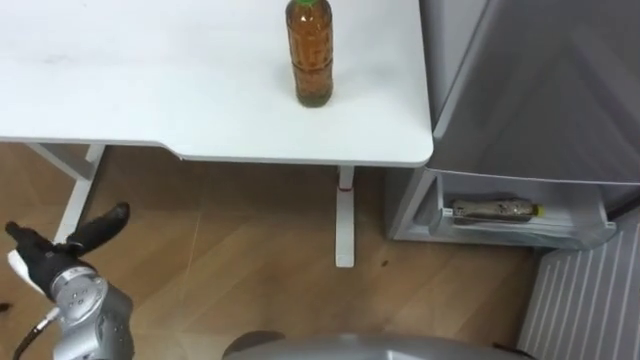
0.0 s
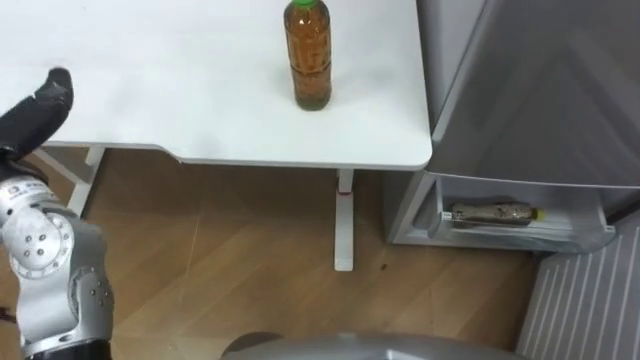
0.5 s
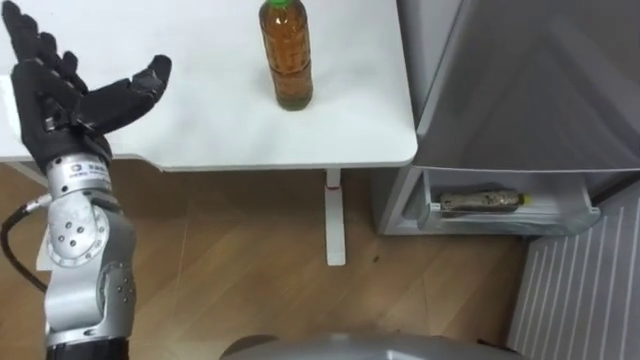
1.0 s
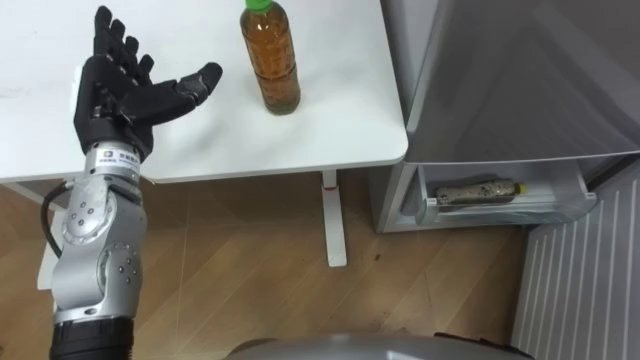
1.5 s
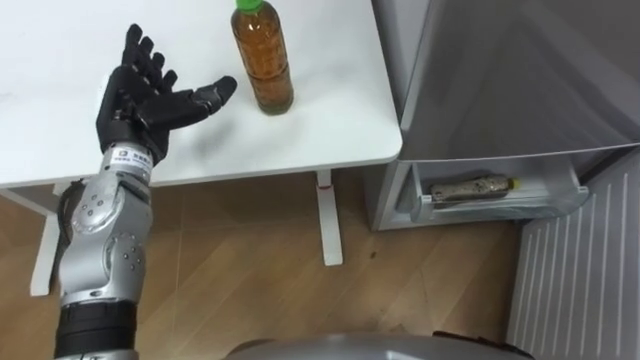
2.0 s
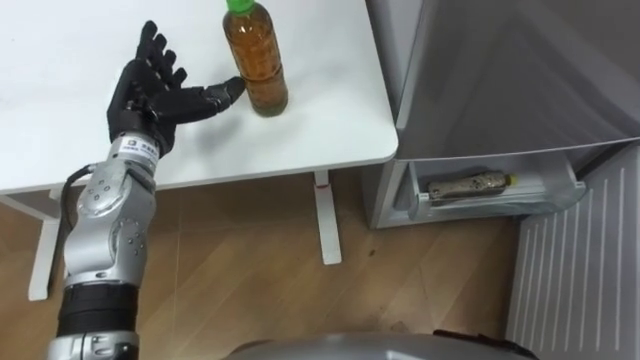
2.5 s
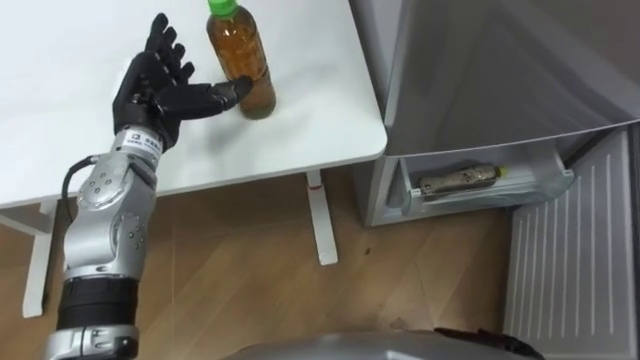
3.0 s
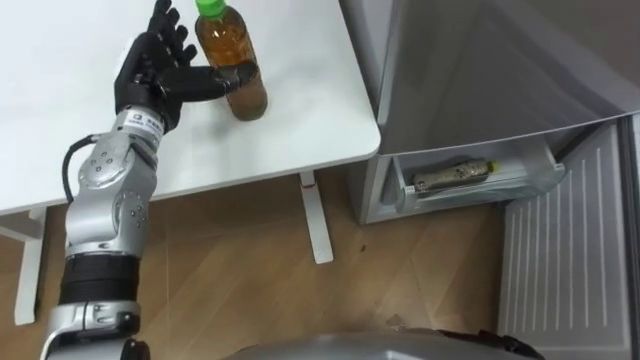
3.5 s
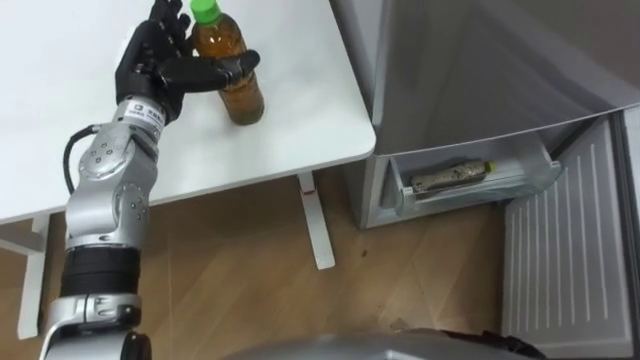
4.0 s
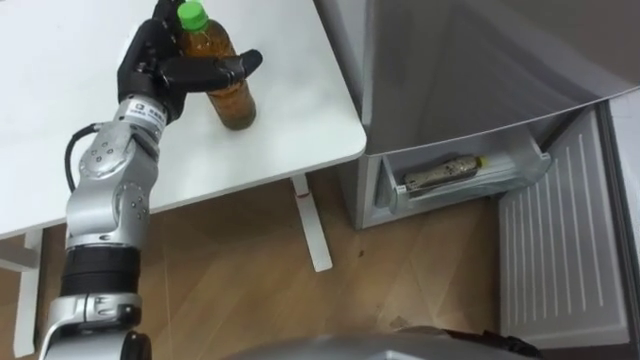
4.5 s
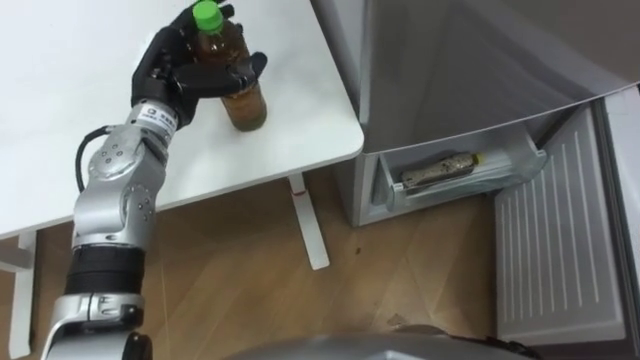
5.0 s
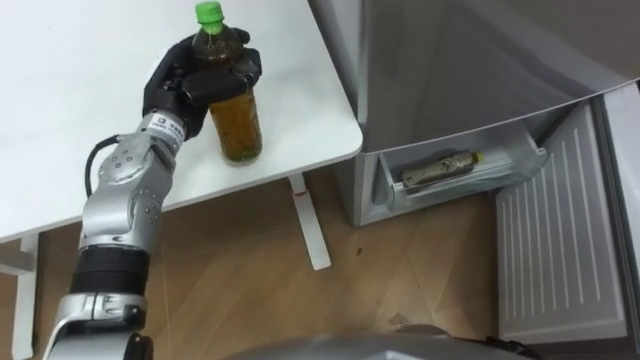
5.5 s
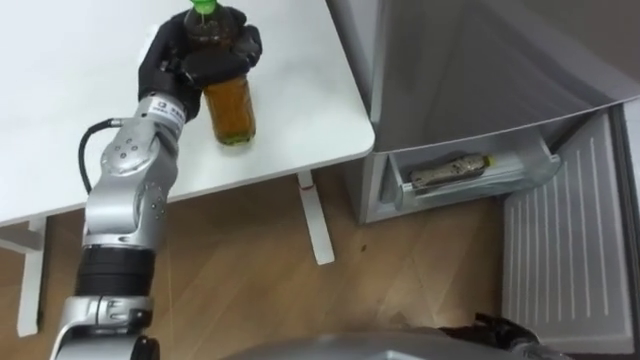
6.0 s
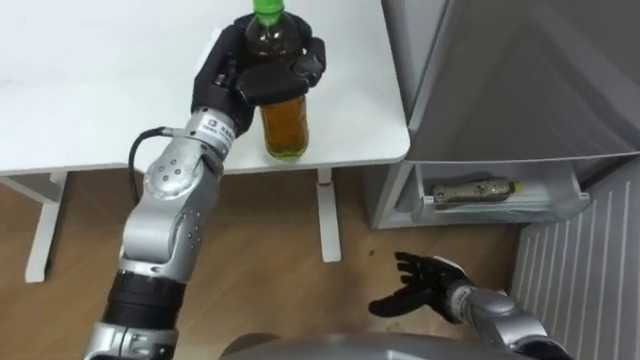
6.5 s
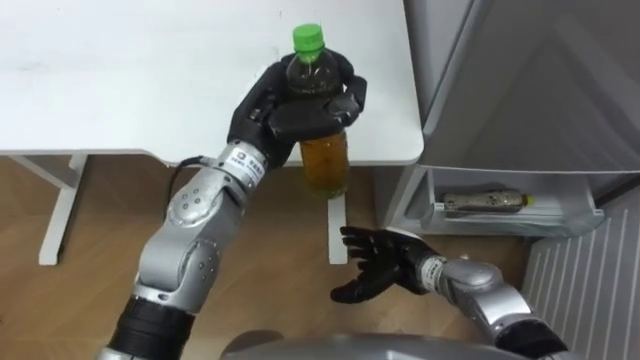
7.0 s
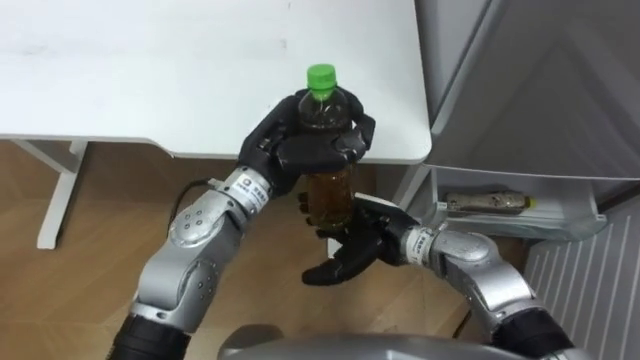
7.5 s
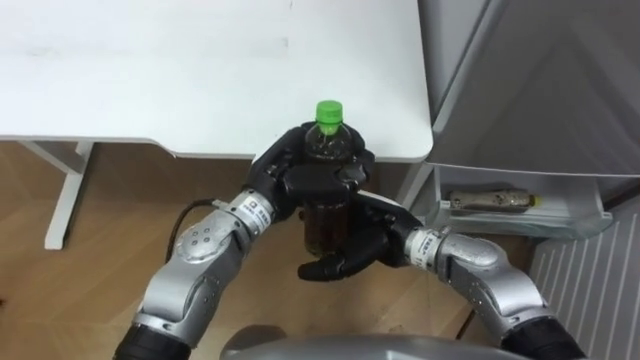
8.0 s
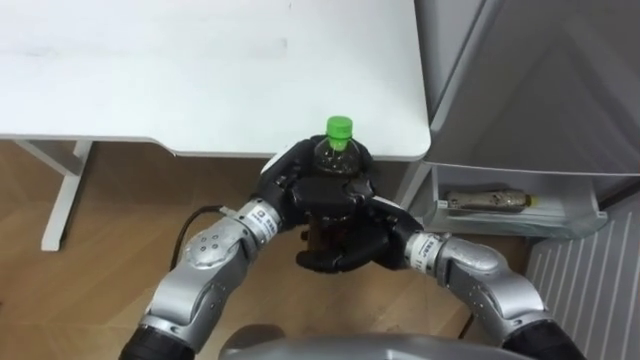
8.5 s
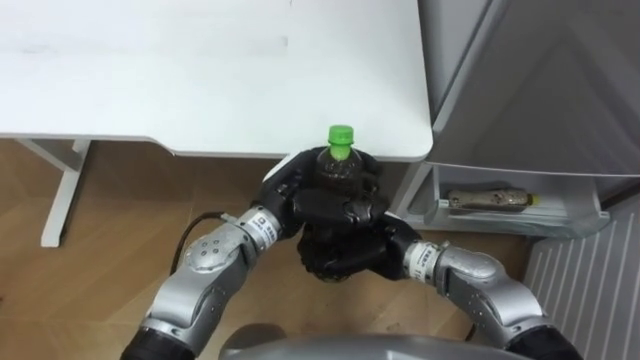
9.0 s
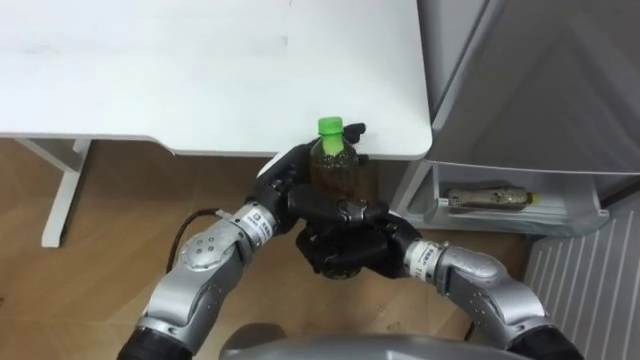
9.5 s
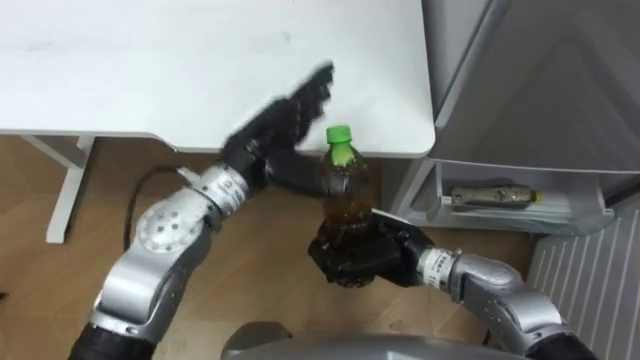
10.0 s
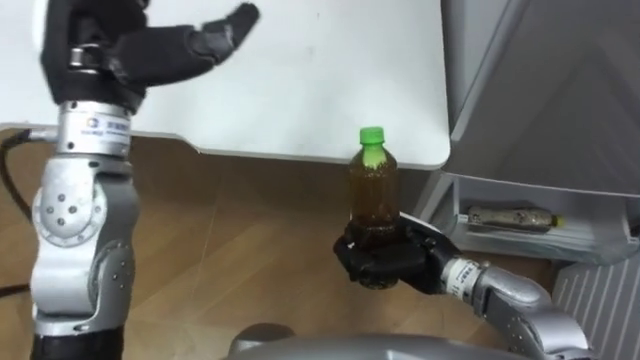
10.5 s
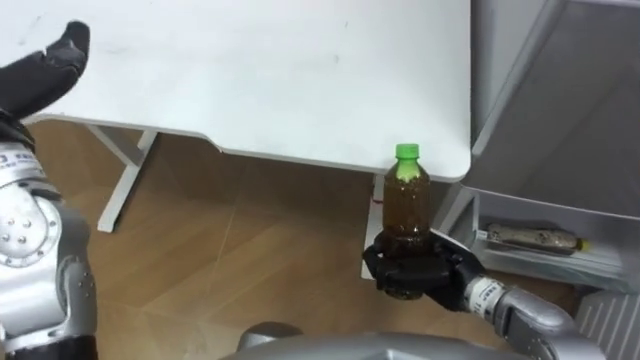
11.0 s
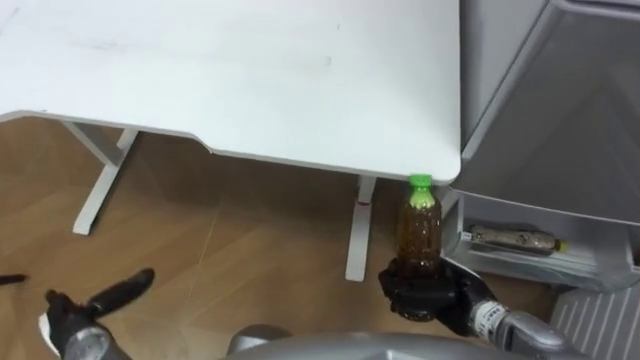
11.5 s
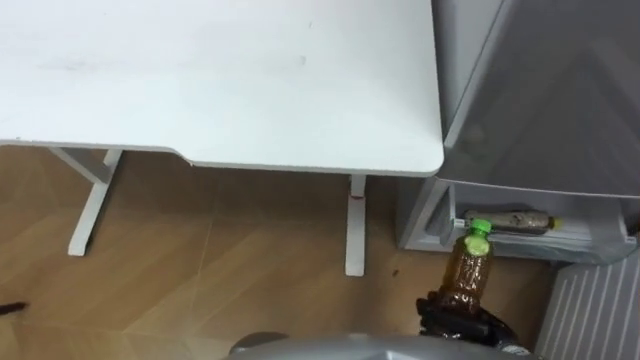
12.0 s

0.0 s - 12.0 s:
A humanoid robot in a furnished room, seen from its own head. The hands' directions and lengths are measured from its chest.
Task of the whole recording: Place the drink on the table on the bottom shelf of the refrigerator, then close the drawer and the refrigerator door.
2.0 s - 4.0 s: The left hand shifts by about 5 cm.
4.0 s - 6.0 s: The left hand closes.
6.0 s - 8.0 s: The left hand moves to the right, backward and downward, approximately 15 cm. Meanwhile the right hand heads to the left, upward and forward, covering about 30 cm.
8.0 s - 10.0 s: The right hand closes its fingers, while the left hand shifts by roughly 5 cm, and opens its fingers.
10.0 s - 12.0 s: The right hand goes roughly 20 cm to the right, downward and backward.

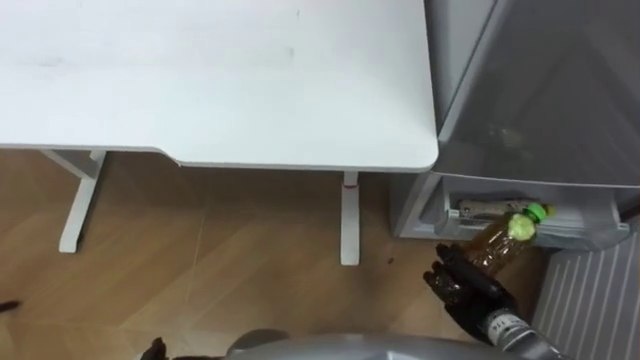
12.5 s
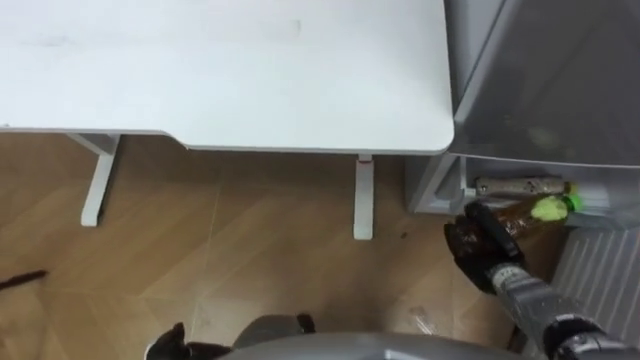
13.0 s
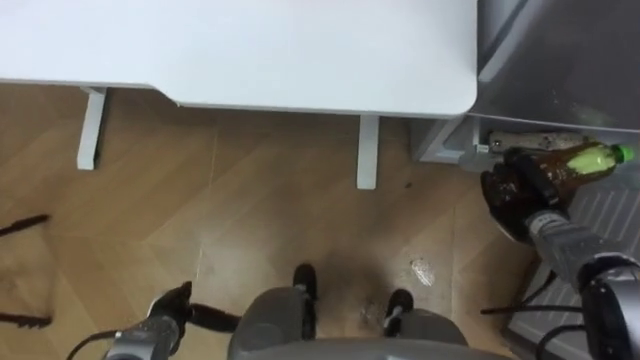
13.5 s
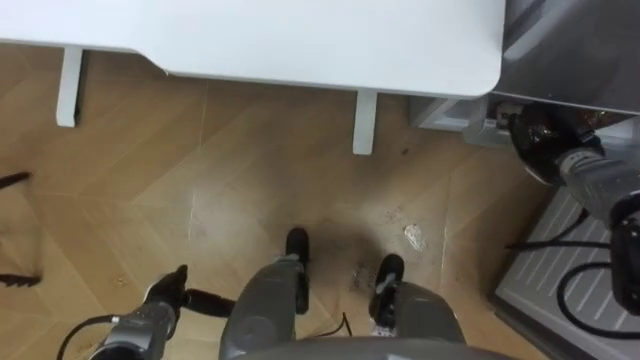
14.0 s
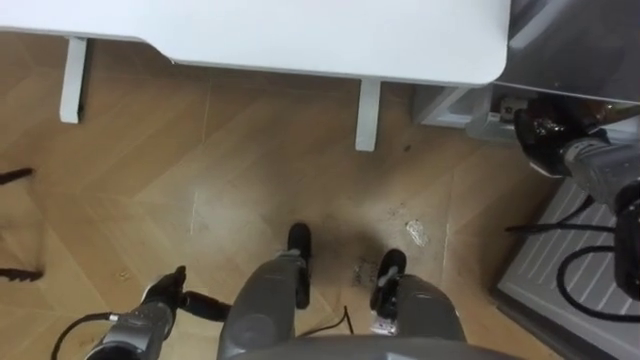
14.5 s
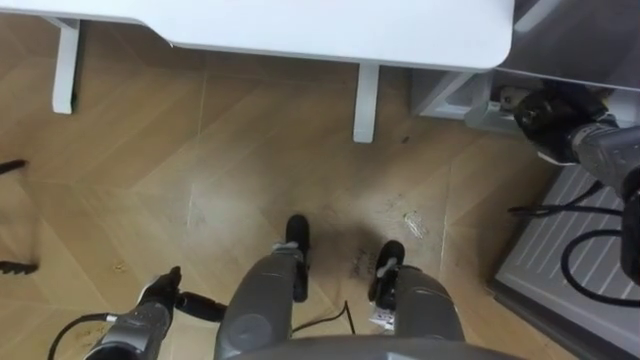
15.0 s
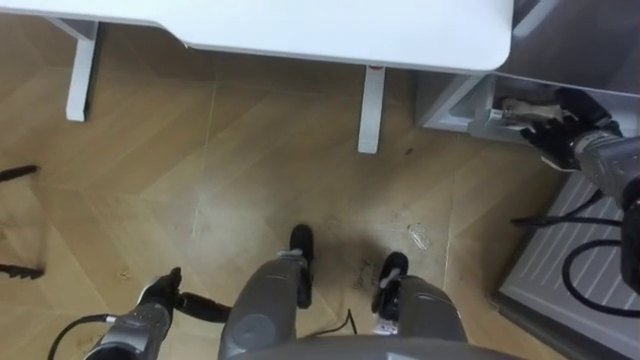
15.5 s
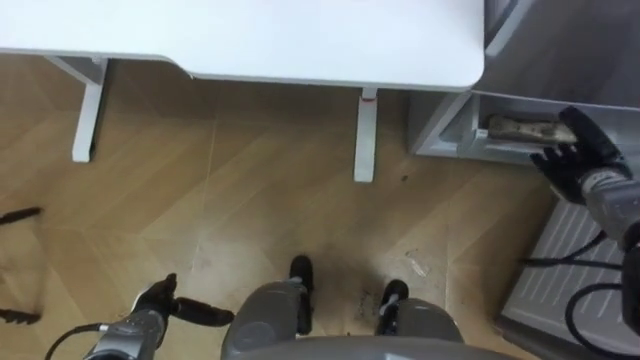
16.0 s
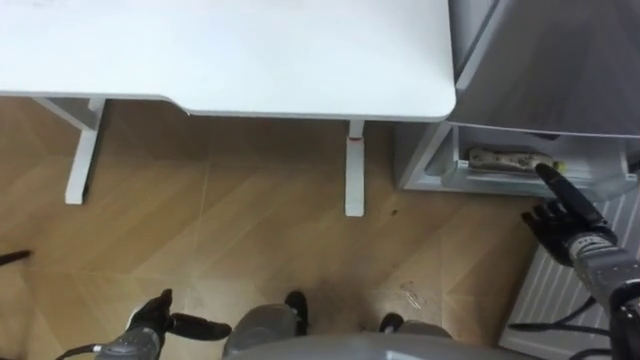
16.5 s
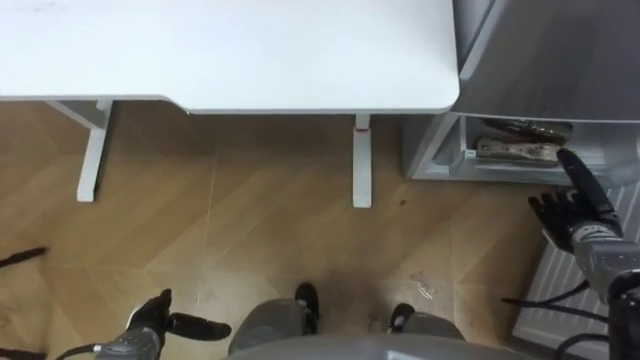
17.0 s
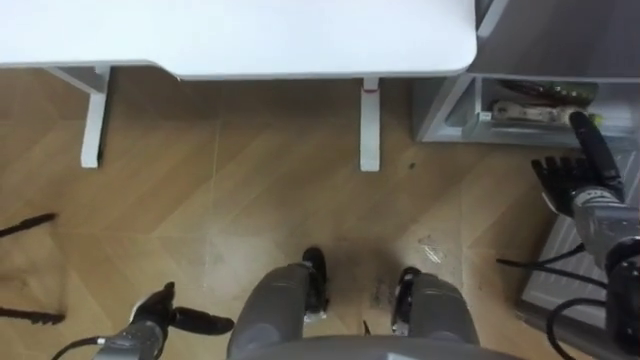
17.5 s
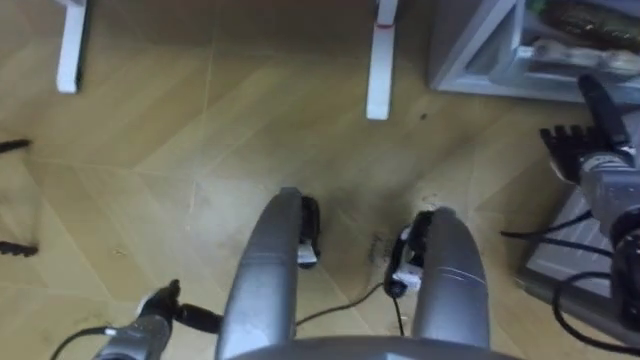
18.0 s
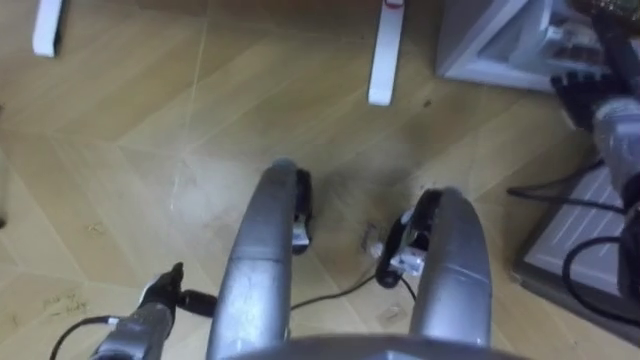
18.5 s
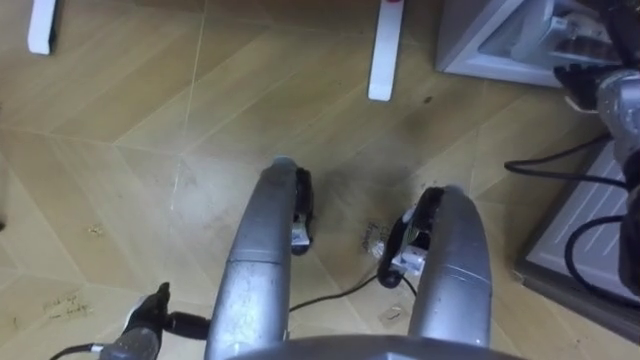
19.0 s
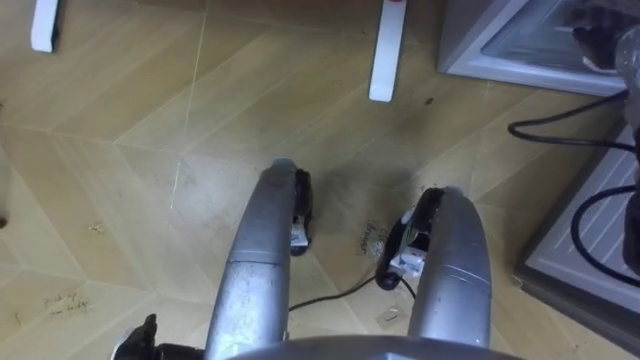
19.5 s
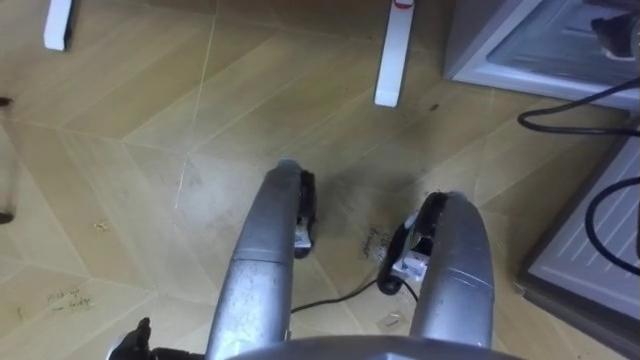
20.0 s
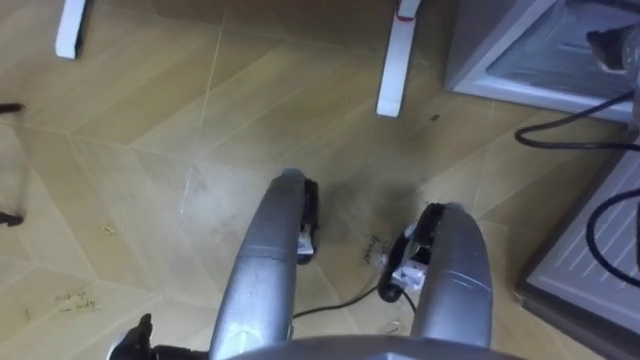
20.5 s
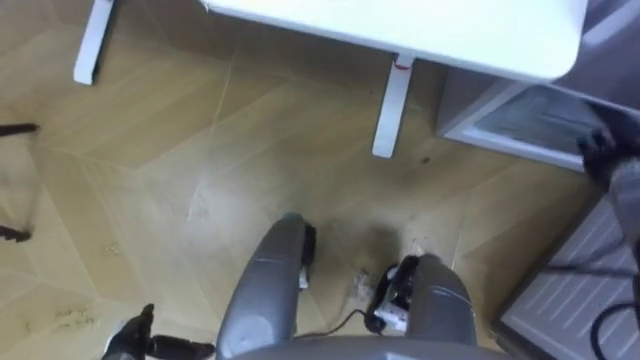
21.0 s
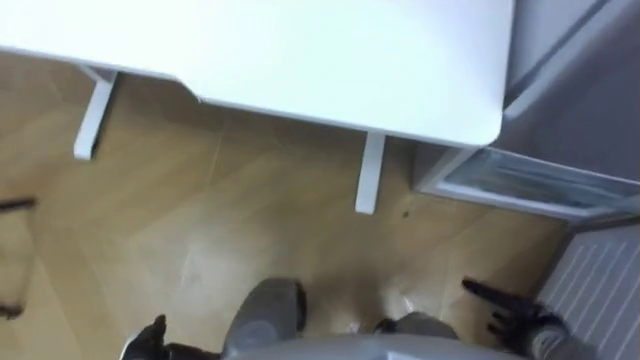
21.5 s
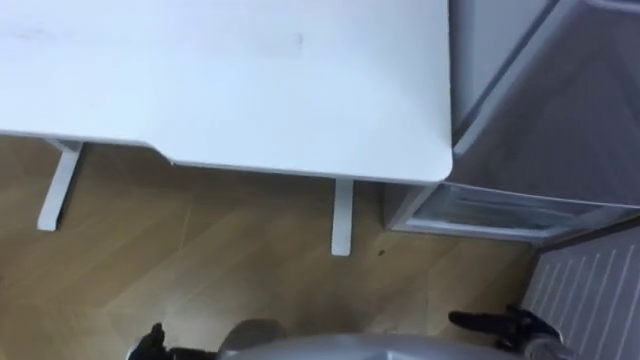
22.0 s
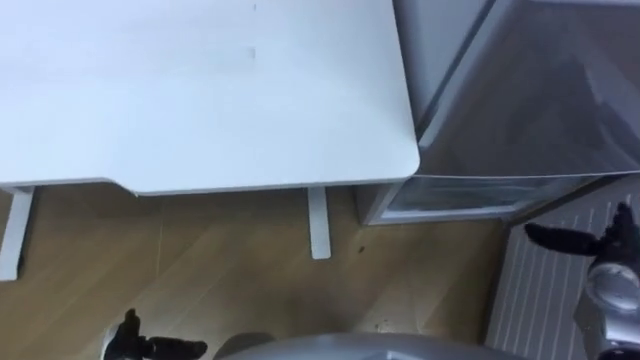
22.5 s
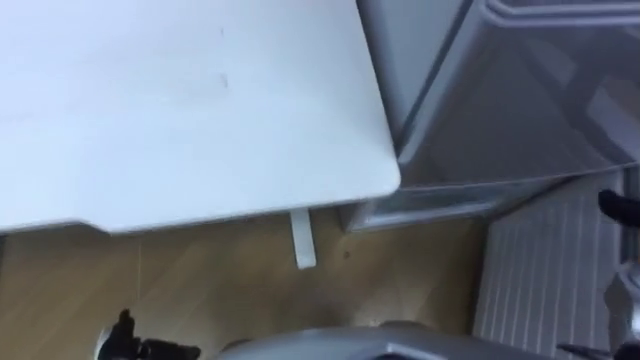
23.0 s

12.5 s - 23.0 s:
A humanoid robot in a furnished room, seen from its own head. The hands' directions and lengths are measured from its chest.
Task of the whole recording: Place the drink on the table on the bottom shelf of the refrigerator, then close the drawer and the refrigerator door.
12.5 s - 14.5 s: The right hand heads forward, upward and to the right, covering roughly 25 cm.
14.5 s - 16.5 s: The right hand moves backward and downward, approximately 15 cm, and opens.
16.5 s - 19.0 s: The right hand travels forward and upward by roughly 20 cm.
19.0 s - 21.0 s: The right hand travels backward and downward by approximately 10 cm.
